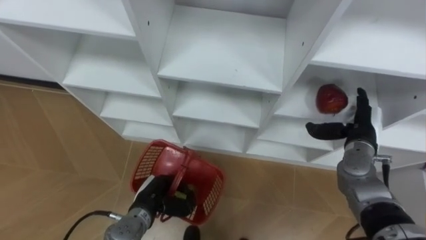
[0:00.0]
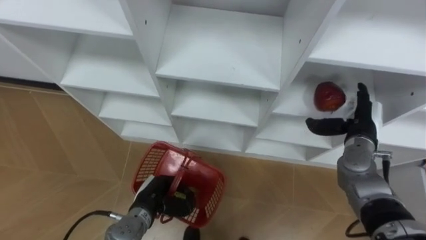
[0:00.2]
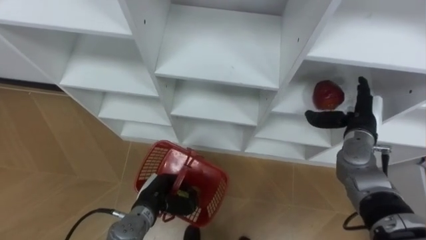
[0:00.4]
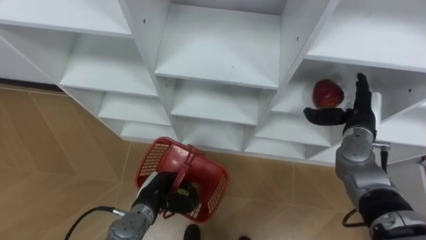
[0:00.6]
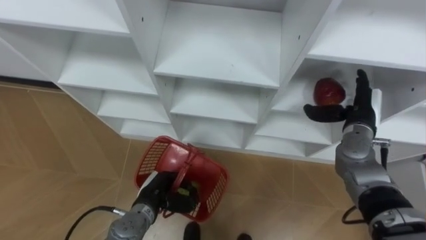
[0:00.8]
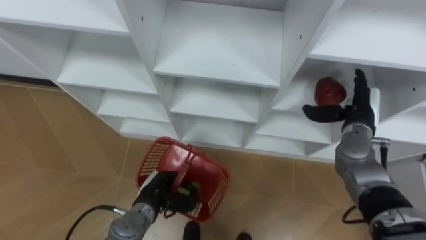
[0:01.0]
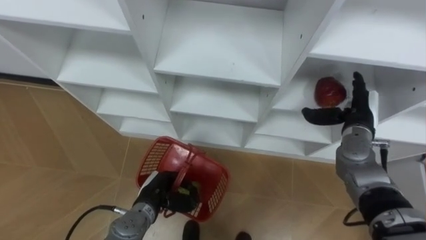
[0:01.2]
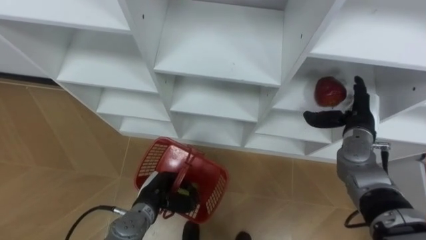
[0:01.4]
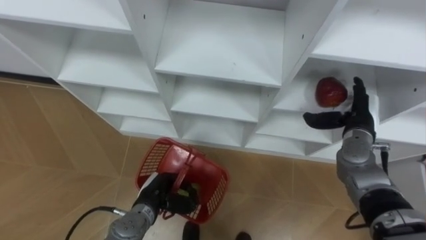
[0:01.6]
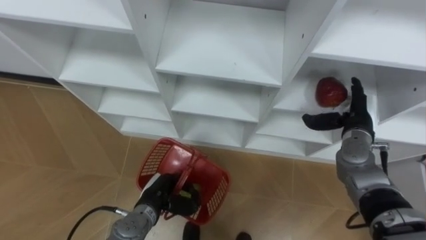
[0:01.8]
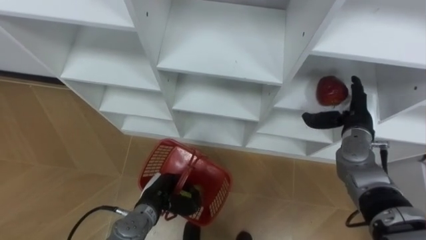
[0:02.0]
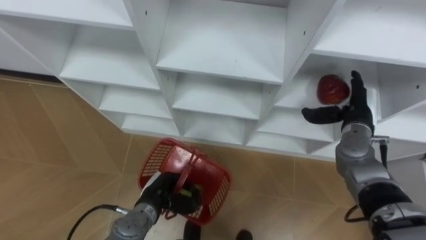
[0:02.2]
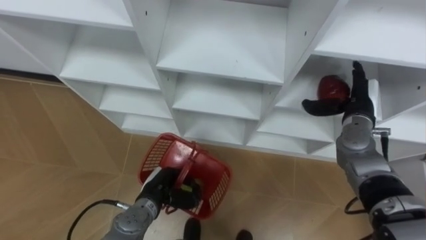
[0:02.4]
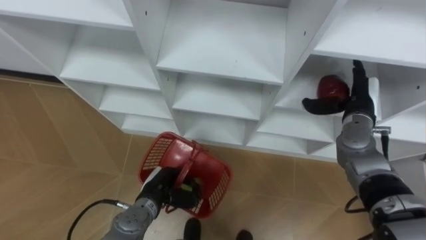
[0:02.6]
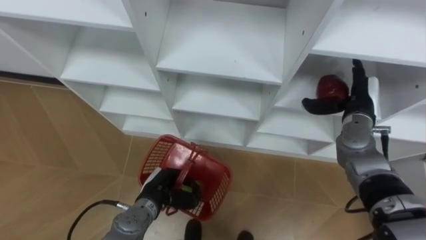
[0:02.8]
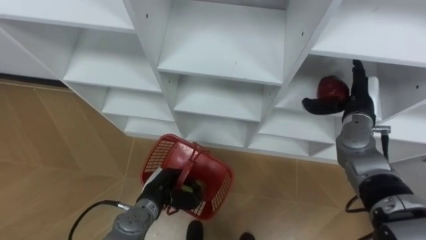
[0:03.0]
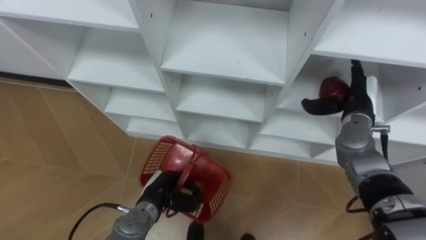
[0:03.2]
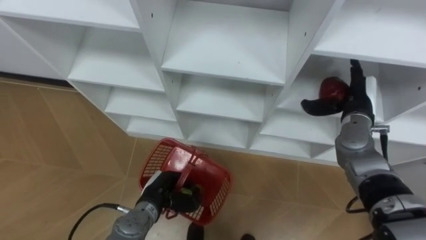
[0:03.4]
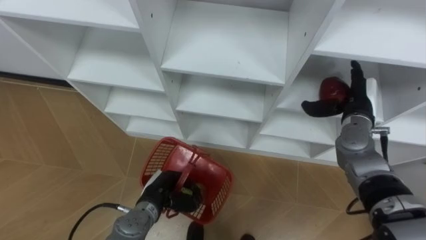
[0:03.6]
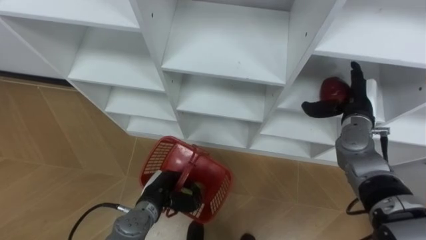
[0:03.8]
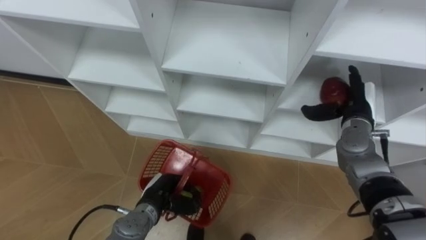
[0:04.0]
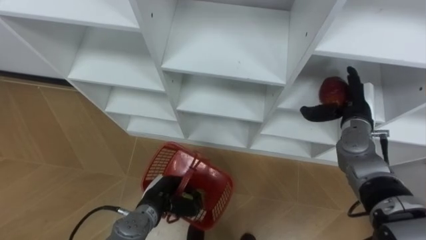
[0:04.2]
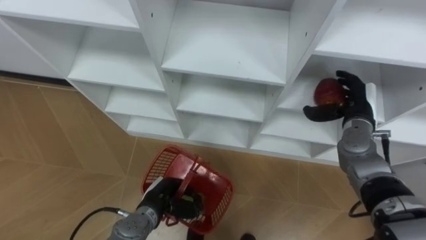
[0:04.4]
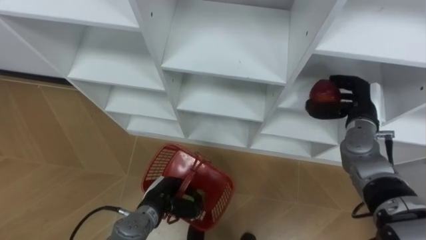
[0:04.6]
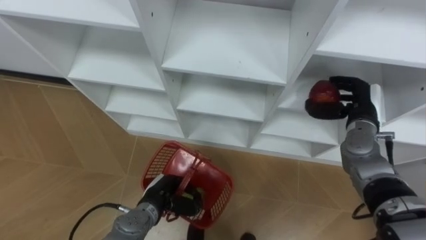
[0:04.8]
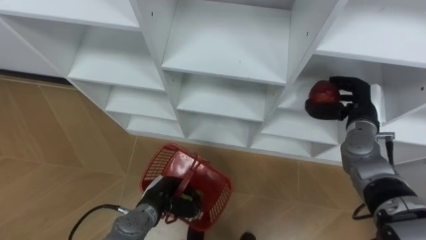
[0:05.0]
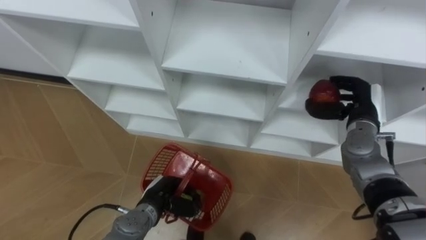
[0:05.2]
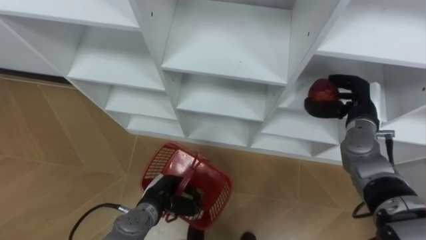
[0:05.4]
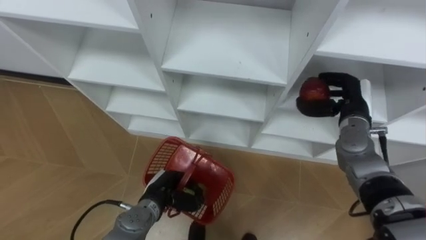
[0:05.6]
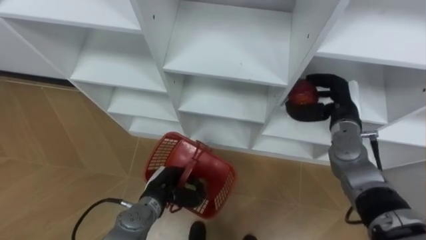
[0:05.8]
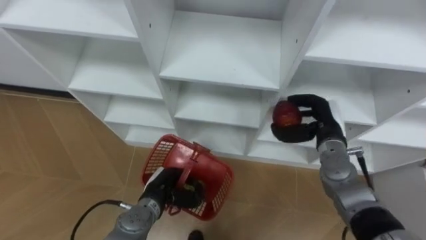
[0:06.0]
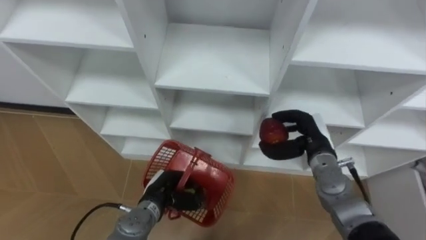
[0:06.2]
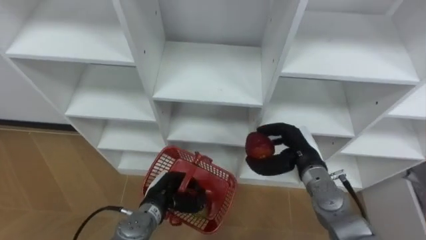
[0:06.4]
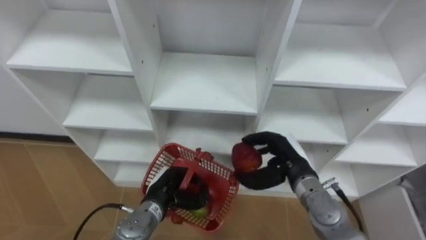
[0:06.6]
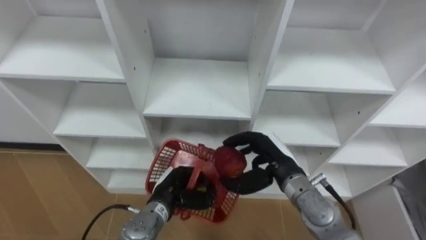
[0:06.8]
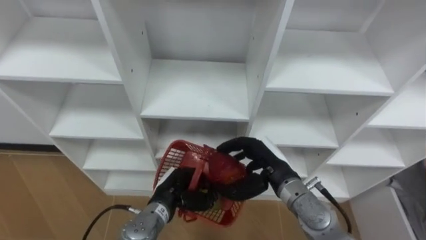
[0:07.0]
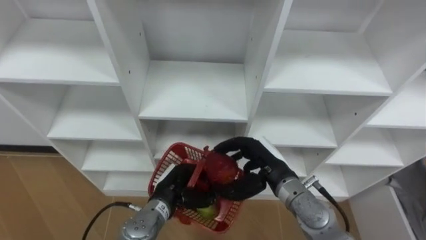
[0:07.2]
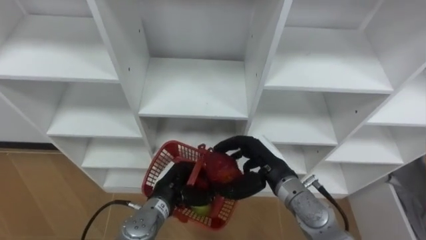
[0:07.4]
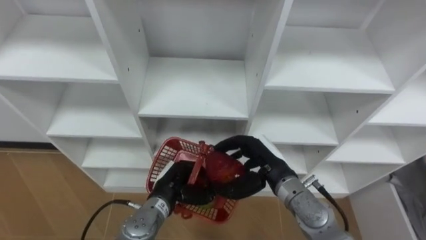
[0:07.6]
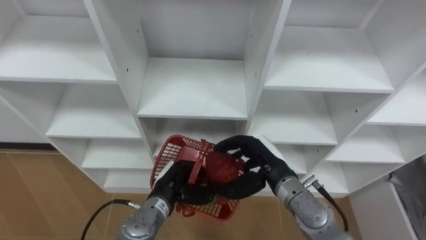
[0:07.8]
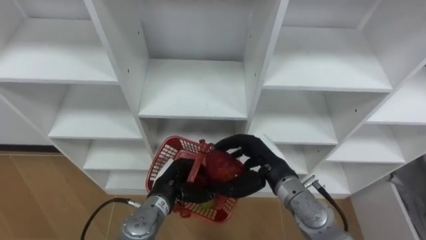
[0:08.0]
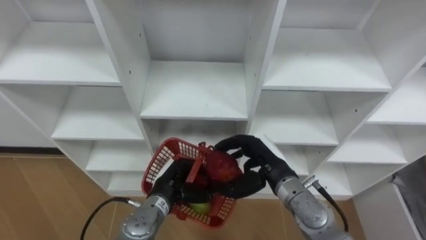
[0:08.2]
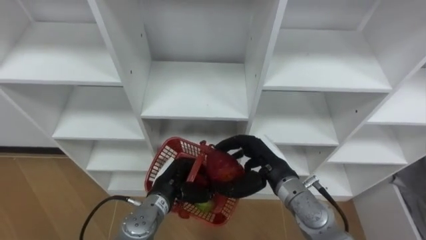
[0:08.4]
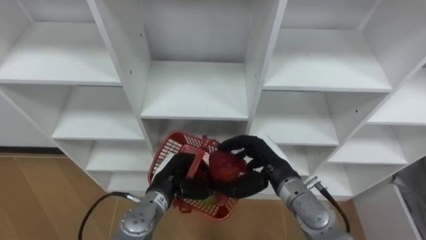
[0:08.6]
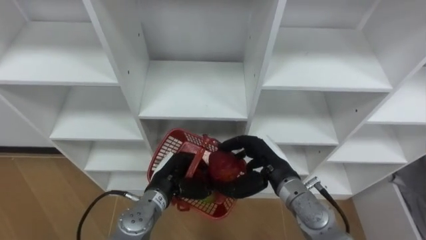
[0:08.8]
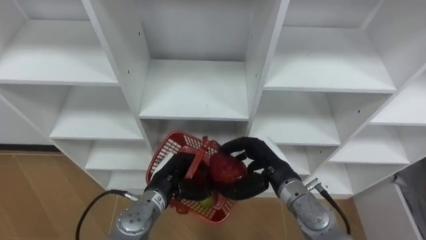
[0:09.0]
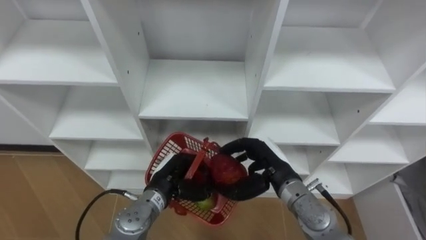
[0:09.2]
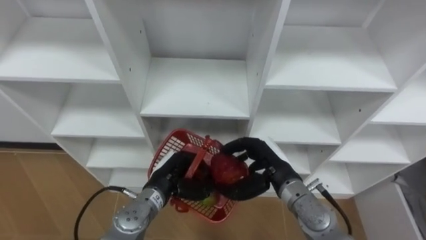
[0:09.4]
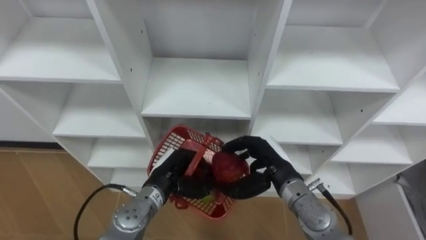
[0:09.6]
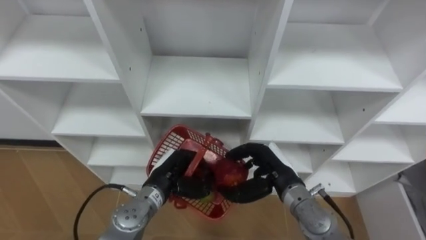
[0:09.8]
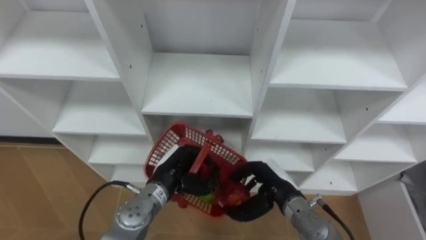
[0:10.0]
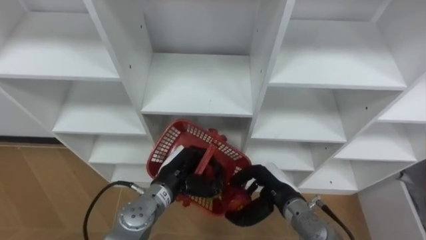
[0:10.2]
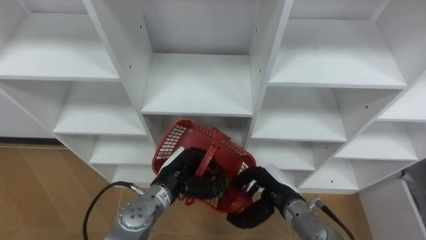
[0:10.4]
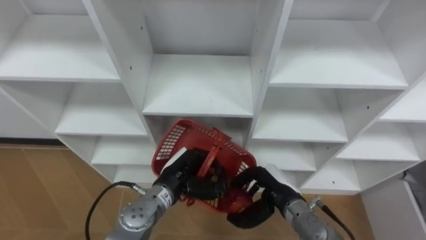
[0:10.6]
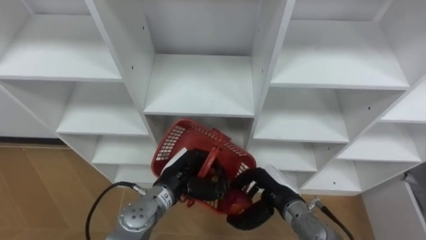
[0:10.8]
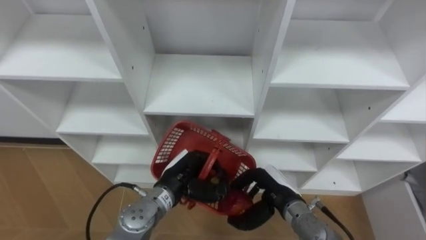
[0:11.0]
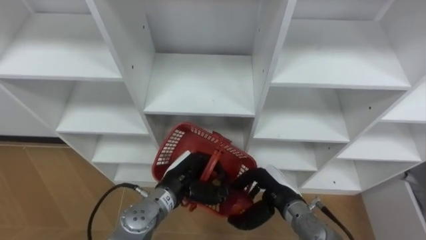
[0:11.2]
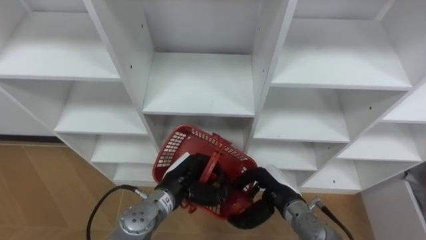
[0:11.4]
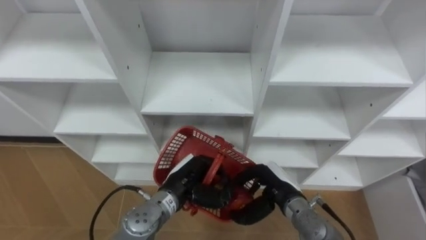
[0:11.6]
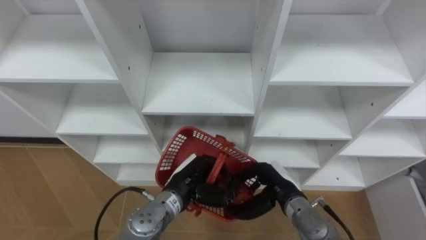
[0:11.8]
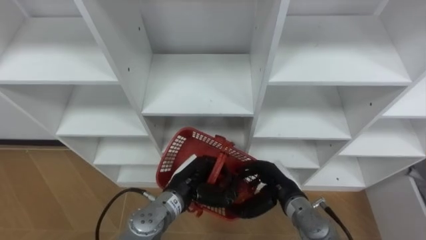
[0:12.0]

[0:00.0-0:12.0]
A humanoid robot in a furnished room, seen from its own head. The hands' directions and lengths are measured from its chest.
Task of the whole recording: Hold the basket and collect the fruits from 3 different cells of the closet into it.
0:01.6 to 0:04.4: There are only small adjustments of the hands.
0:04.4 to 0:06.0: The right hand travels to the left by about 5 cm.
0:06.0 to 0:07.6: The right hand moves to the left and backward, approximately 15 cm.
0:07.6 to 0:09.0: The hands stay close to where they were, moving slightly.
0:09.0 to 0:10.4: The right hand is displaced downward by some 5 cm.
0:10.4 to 0:12.0: The hands move only a little.

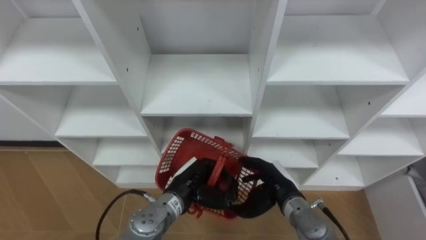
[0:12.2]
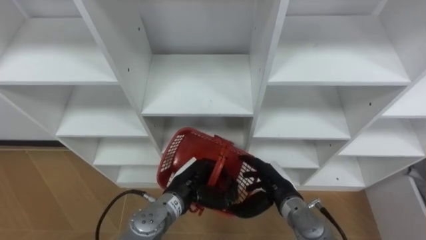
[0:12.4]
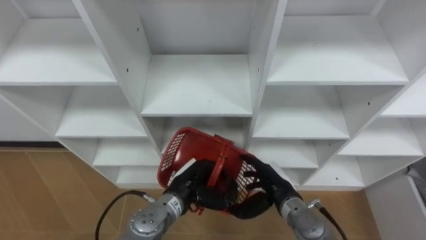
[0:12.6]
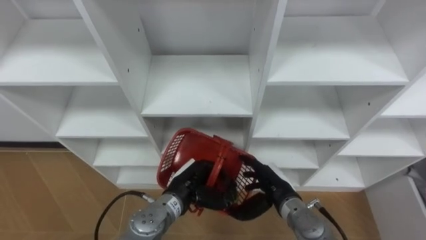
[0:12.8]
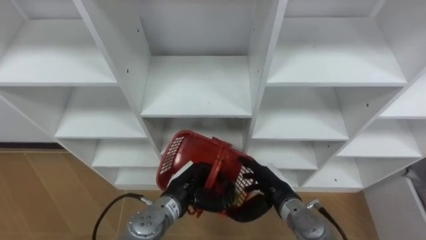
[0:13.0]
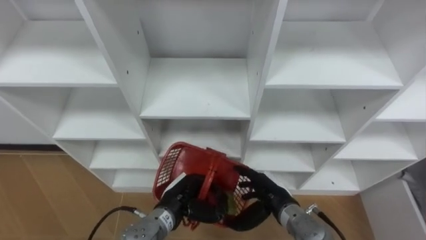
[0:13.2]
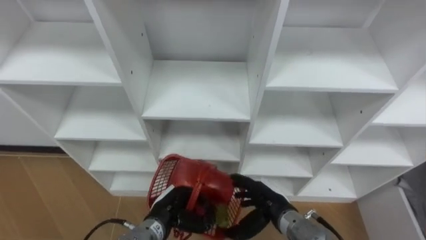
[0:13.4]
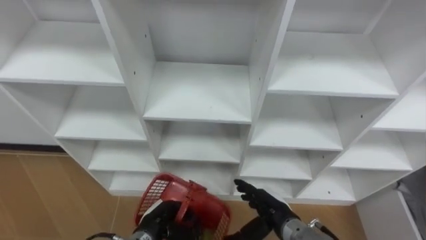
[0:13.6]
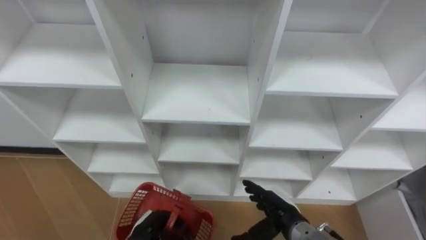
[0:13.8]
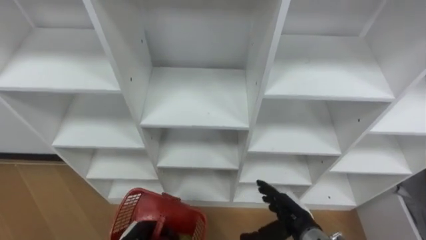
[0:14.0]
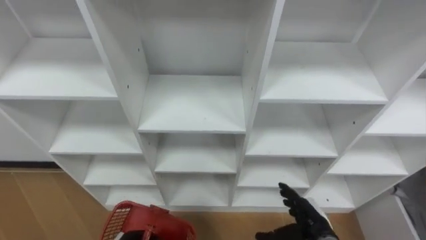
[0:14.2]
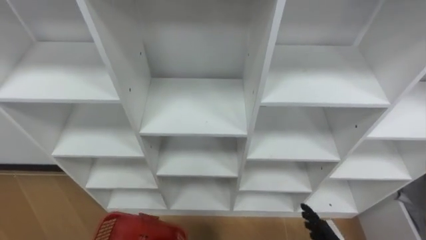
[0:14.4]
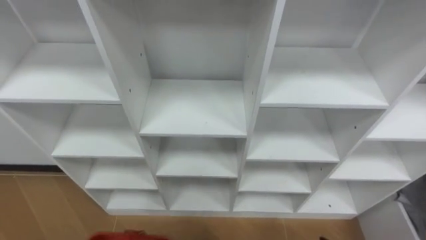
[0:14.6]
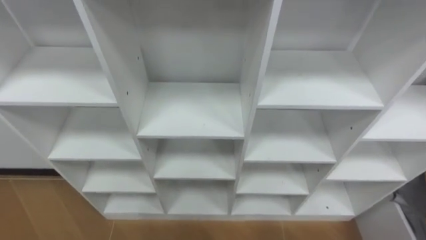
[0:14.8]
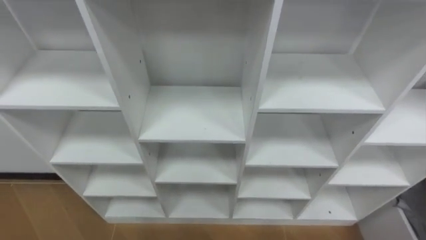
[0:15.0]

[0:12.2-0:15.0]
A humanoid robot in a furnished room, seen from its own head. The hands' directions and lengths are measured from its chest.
Task of the whole recording: Hold the basket and collect the fruits from 3 different cells of the closet into it.
0:12.2 to 0:13.6: The right hand moves roughly 5 cm. The left hand goes about 10 cm downward, to the left and backward.

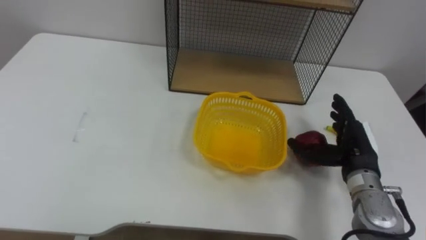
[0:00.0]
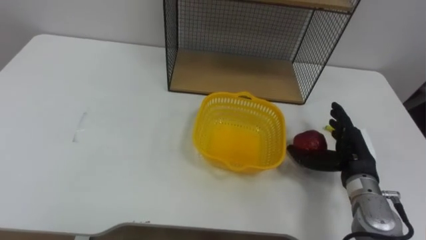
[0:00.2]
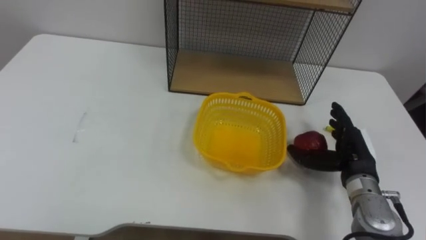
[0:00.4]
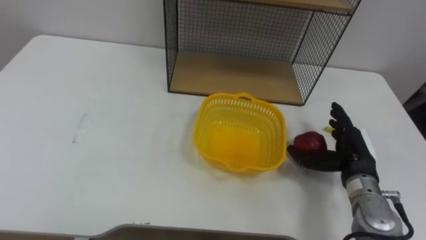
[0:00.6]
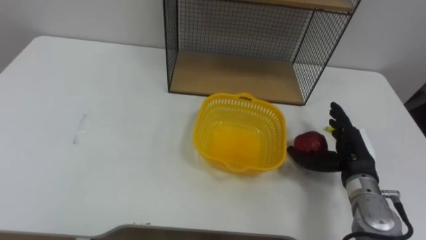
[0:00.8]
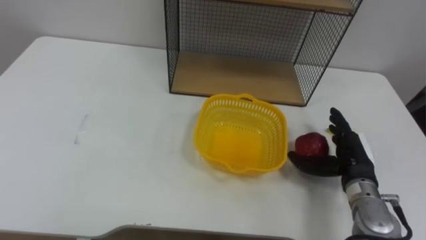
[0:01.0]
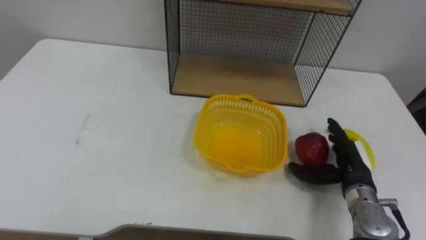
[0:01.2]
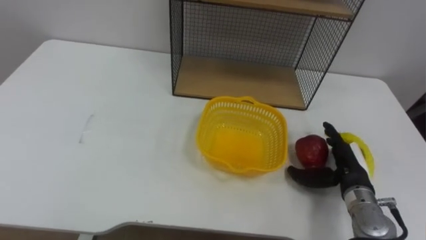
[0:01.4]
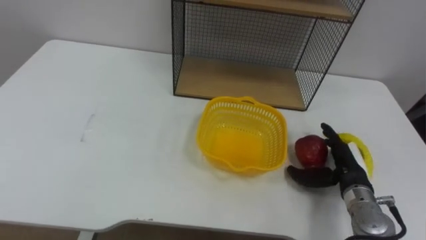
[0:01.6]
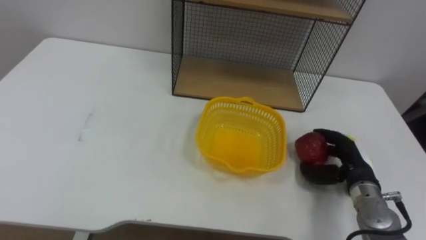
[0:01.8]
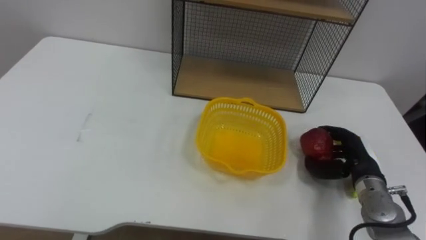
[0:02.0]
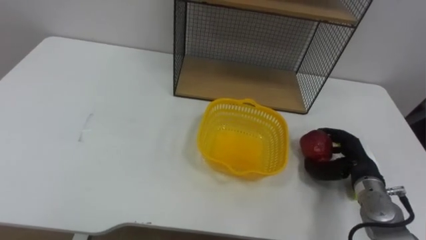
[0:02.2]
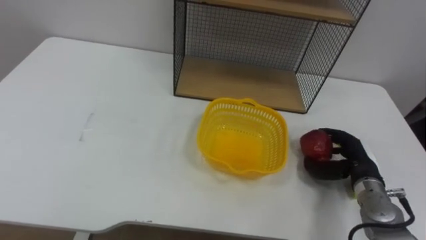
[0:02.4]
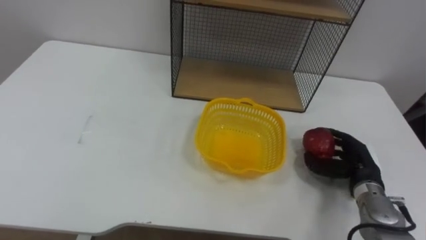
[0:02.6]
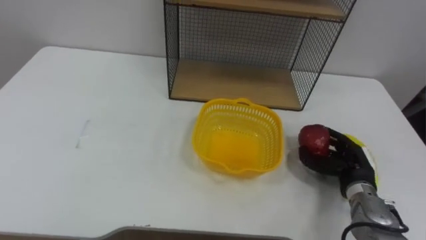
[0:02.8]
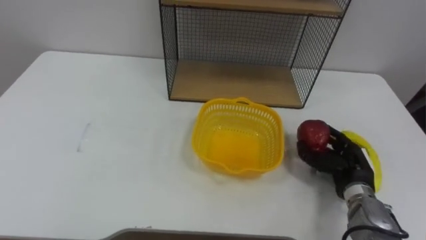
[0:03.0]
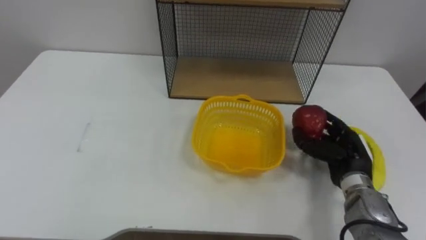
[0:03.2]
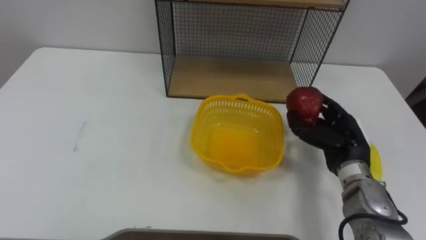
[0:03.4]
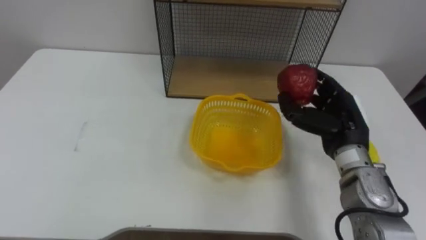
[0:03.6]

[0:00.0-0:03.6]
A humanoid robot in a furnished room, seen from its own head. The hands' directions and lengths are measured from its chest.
Task of the whole recording: Put the fruit on the table into the basket, then place the basket on the shelf.
0:00.0 to 0:01.8: The right hand travels downward by some 5 cm.
0:01.8 to 0:03.6: The right hand goes roughly 10 cm upward and to the left.
